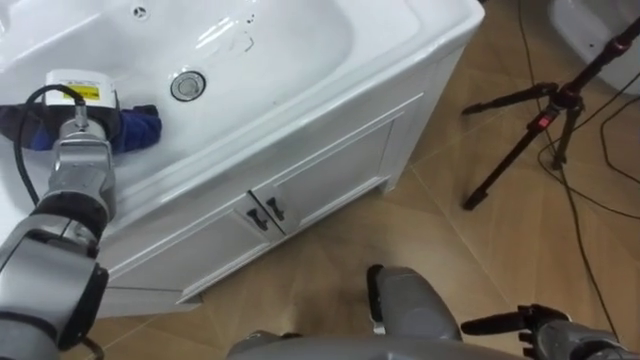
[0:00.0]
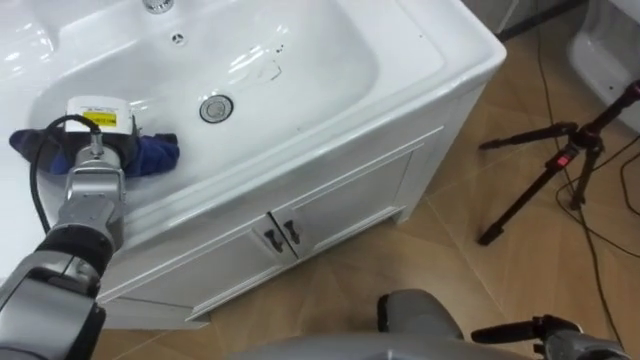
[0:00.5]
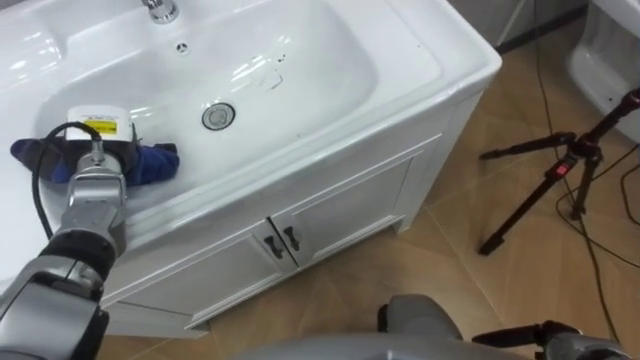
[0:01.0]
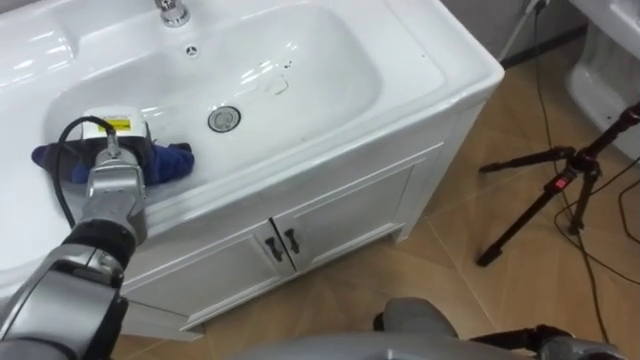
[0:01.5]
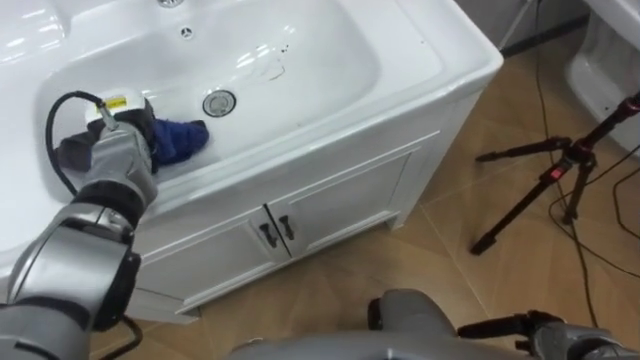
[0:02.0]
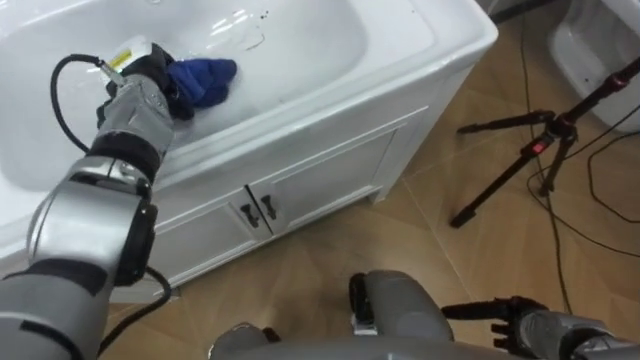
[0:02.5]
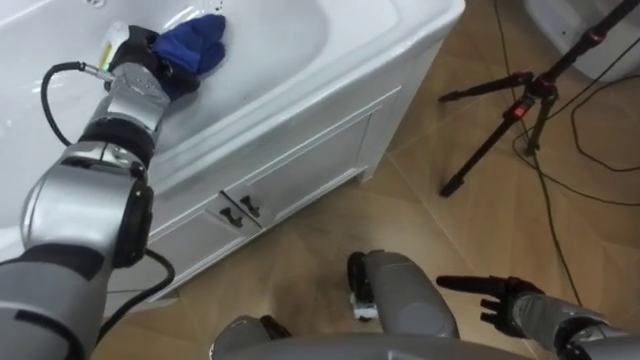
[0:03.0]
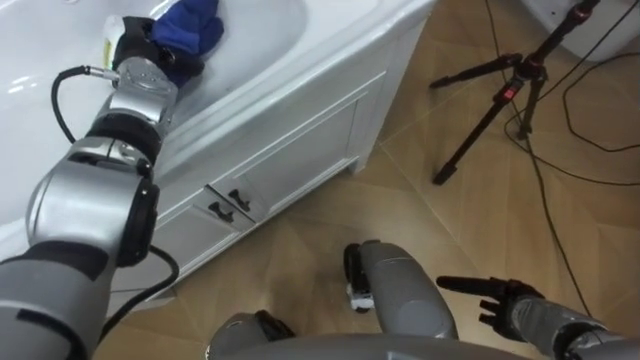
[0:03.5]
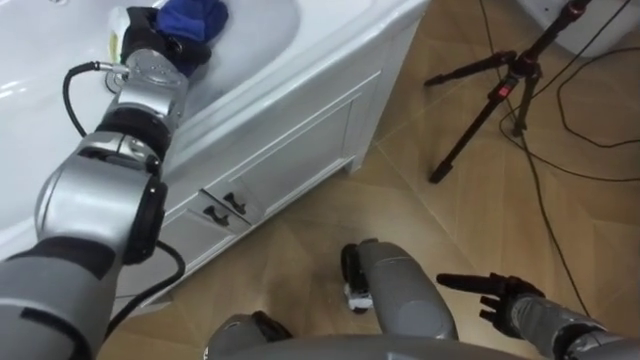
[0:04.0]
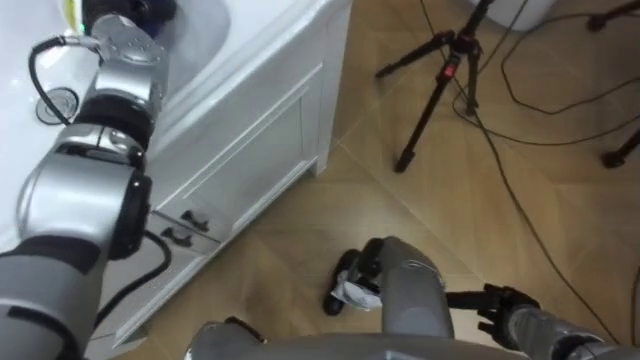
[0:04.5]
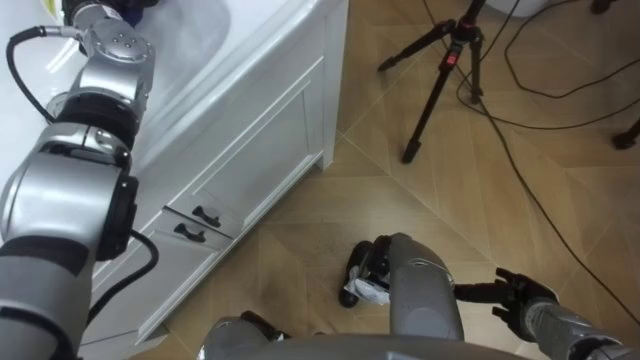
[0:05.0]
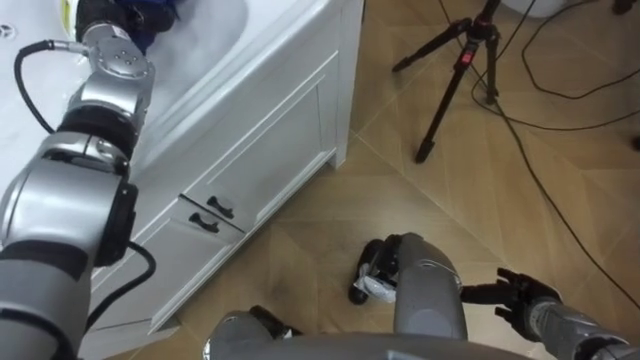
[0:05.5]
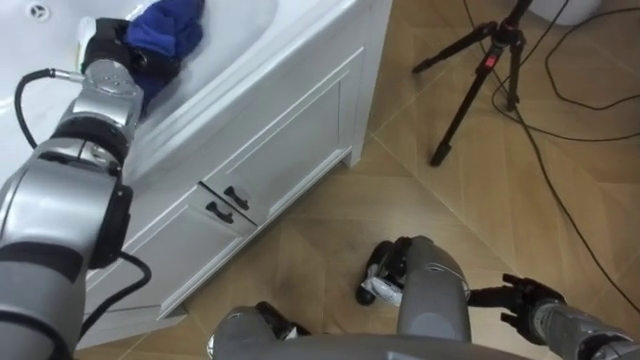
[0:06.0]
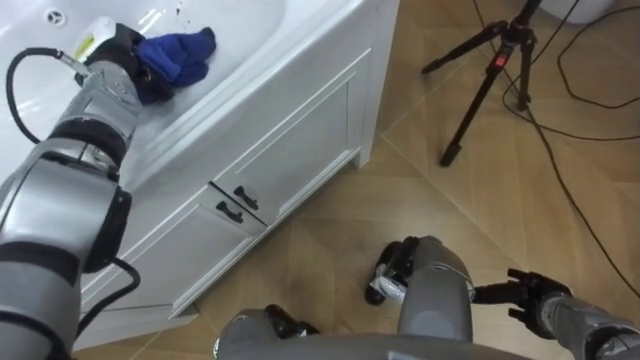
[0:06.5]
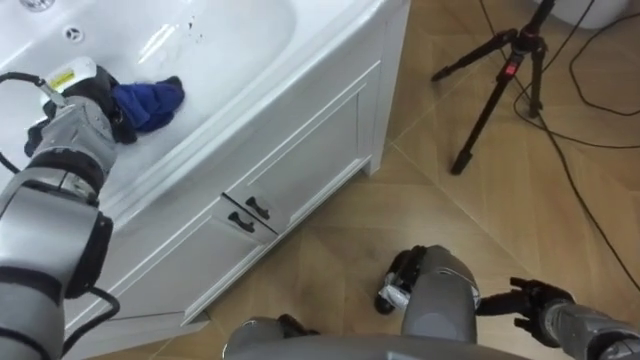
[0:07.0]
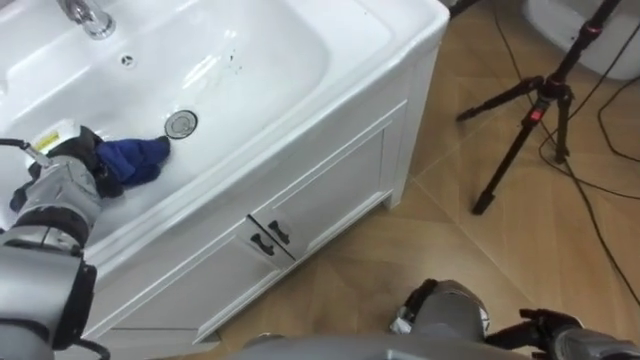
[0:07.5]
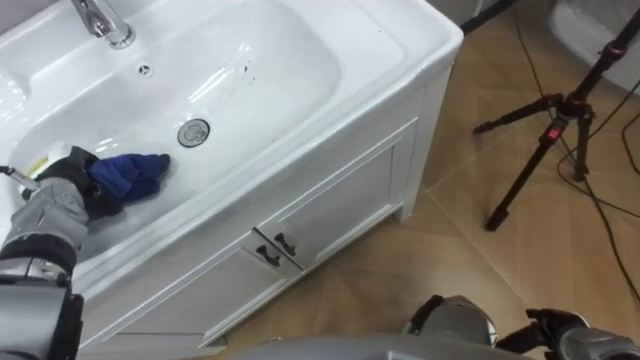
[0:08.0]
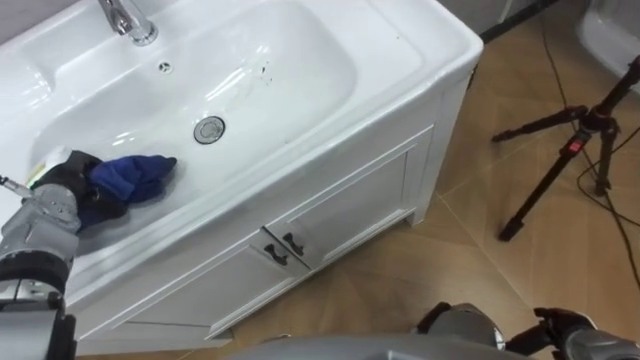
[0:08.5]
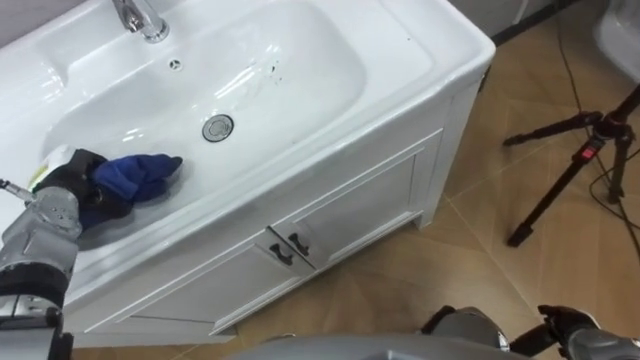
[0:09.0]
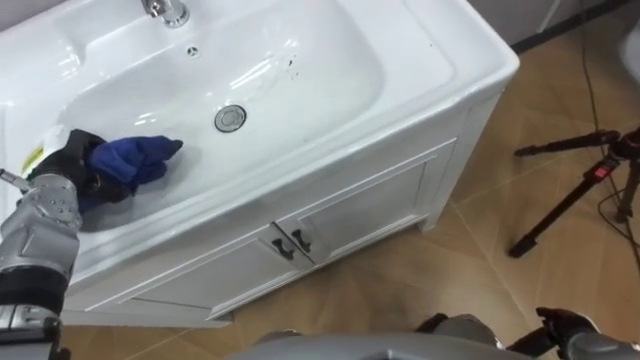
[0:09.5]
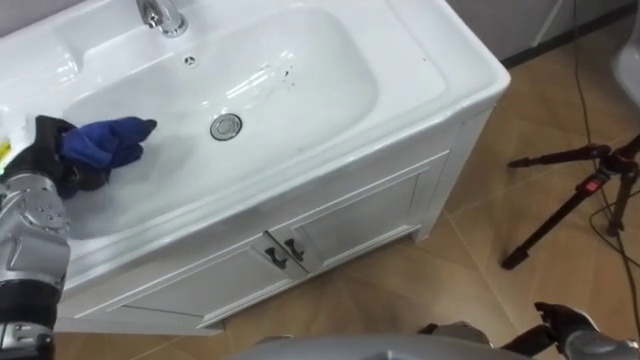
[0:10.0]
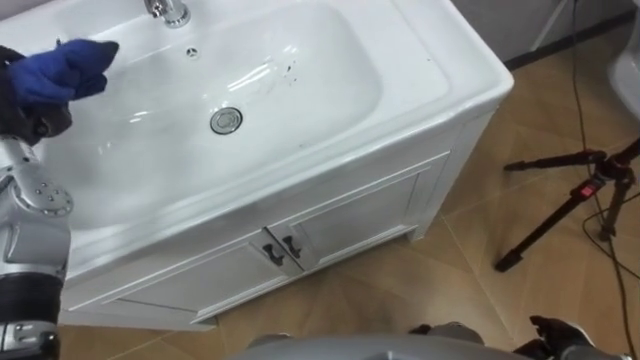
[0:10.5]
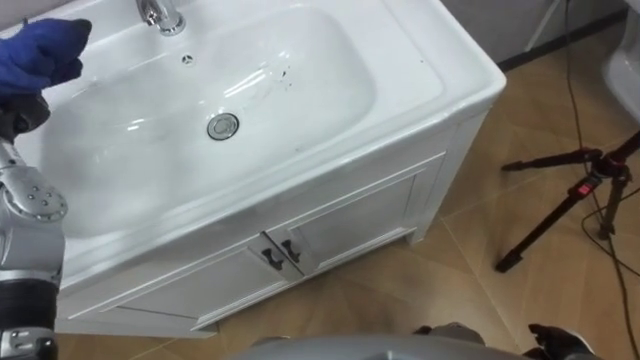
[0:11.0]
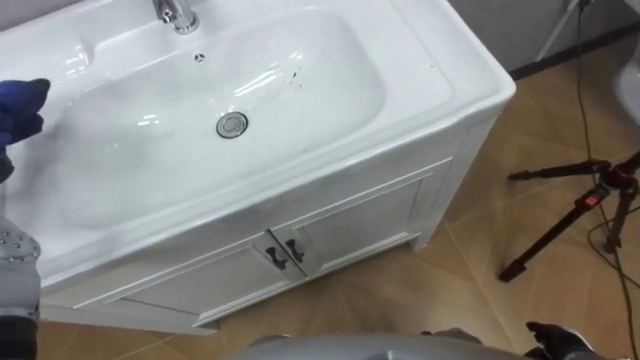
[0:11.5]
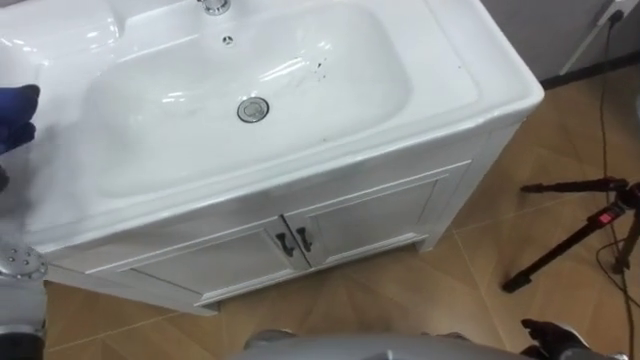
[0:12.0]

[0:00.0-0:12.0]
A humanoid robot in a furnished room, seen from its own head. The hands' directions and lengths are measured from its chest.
Task of the whole recording: Use the cloth on the right to wipe away the black stain in the sink.
0:00.0 to 0:02.0: The left hand moves approximately 5 cm.
0:02.0 to 0:04.0: The right hand shifts by about 5 cm, while the left hand heads upward and forward, covering some 10 cm.
0:06.0 to 0:08.0: The right hand ends up approximately 5 cm from where it was. Meanwhile the left hand heads backward, downward and to the left, covering approximately 20 cm.
0:08.0 to 0:10.0: The left hand heads upward, covering about 5 cm.

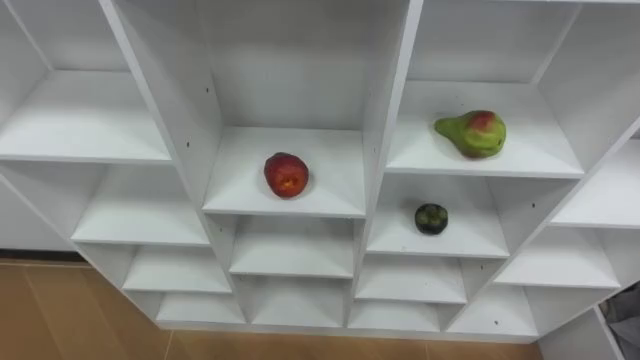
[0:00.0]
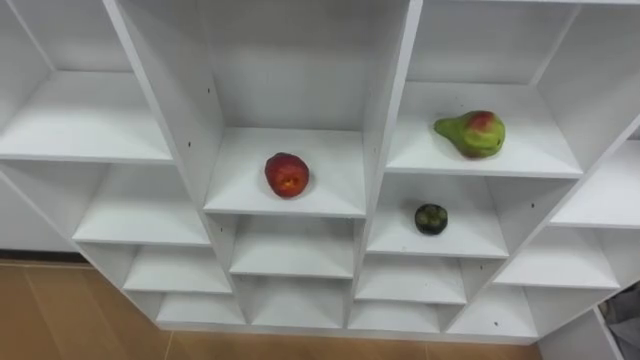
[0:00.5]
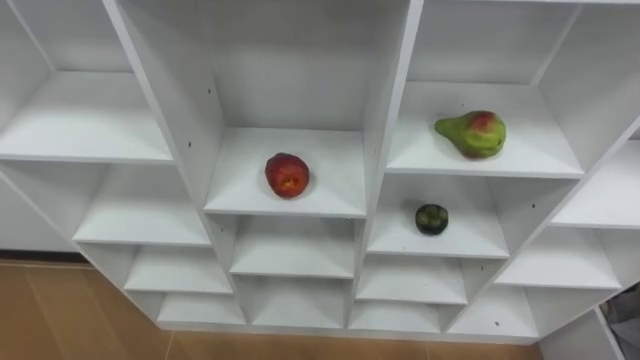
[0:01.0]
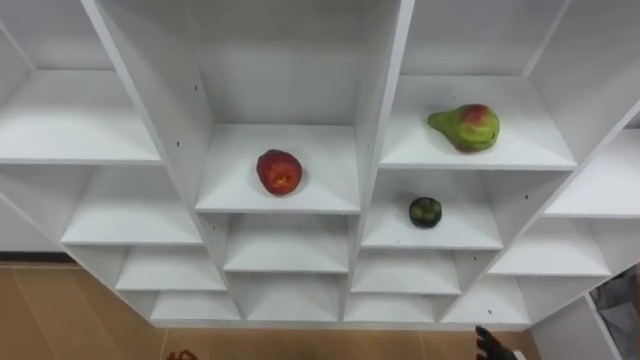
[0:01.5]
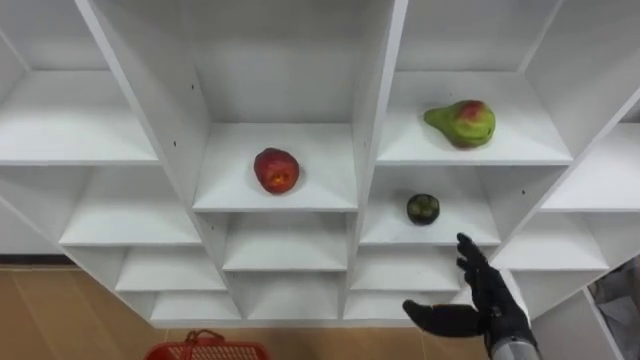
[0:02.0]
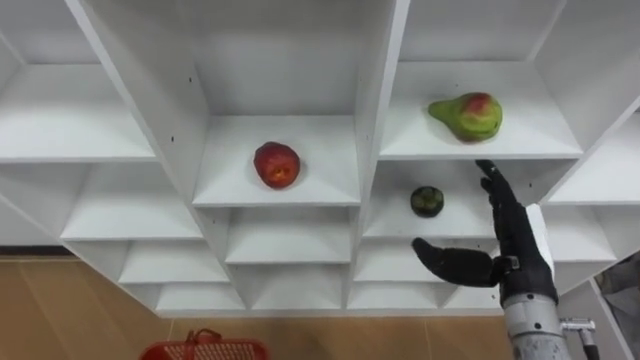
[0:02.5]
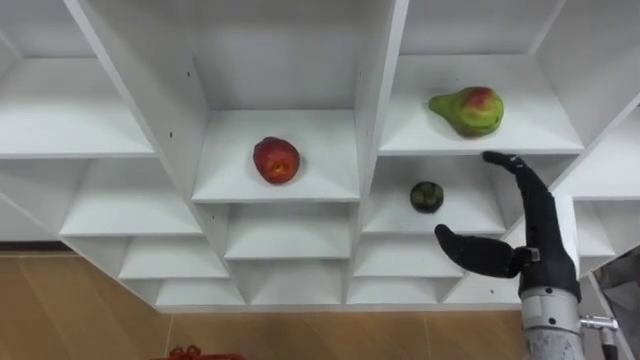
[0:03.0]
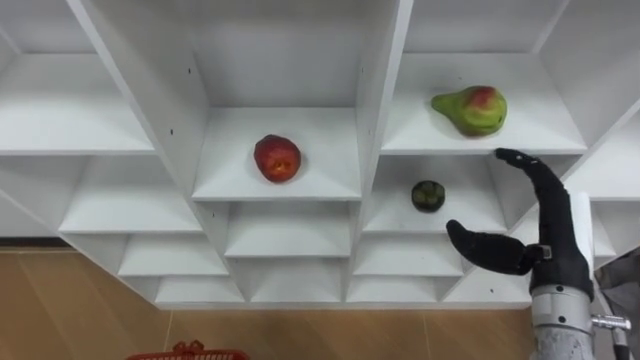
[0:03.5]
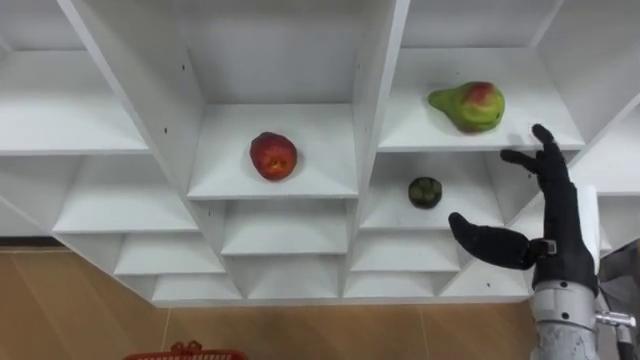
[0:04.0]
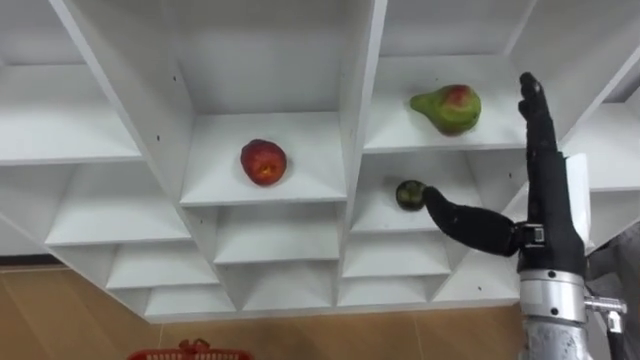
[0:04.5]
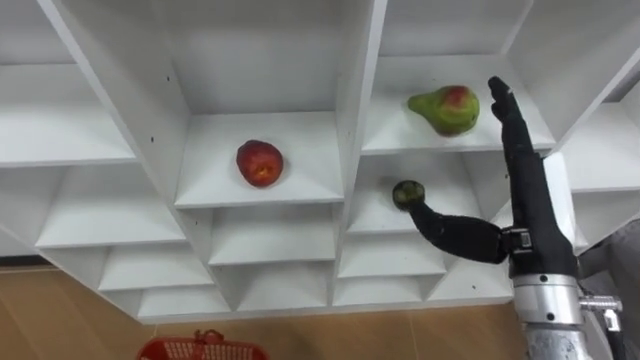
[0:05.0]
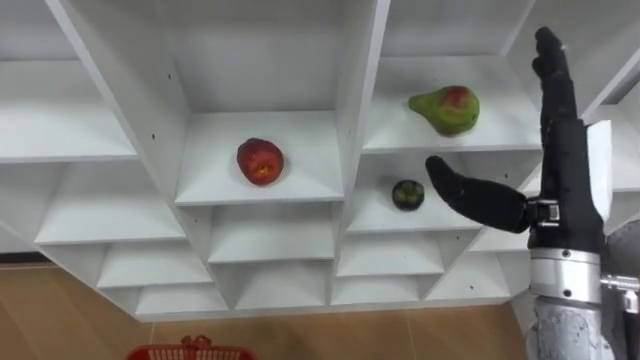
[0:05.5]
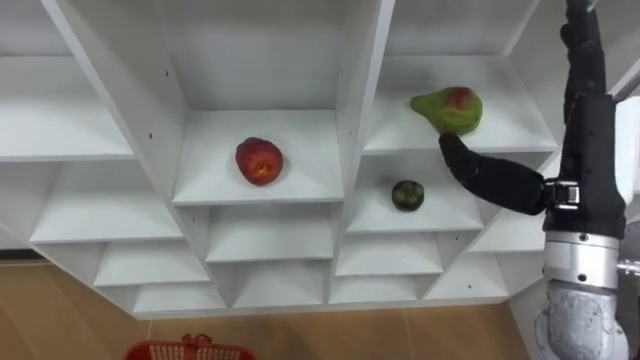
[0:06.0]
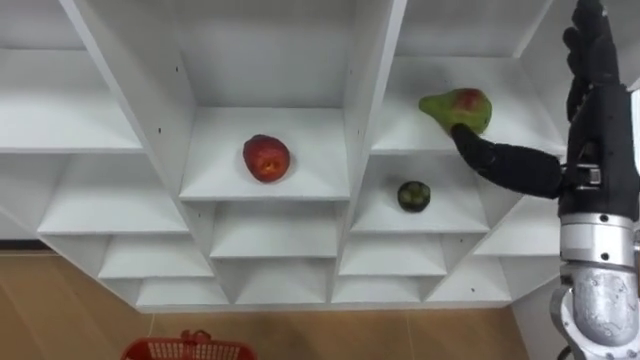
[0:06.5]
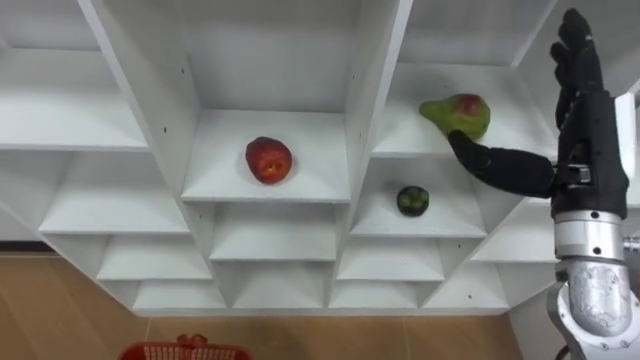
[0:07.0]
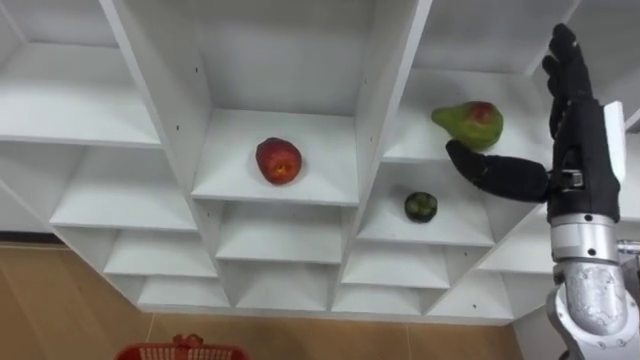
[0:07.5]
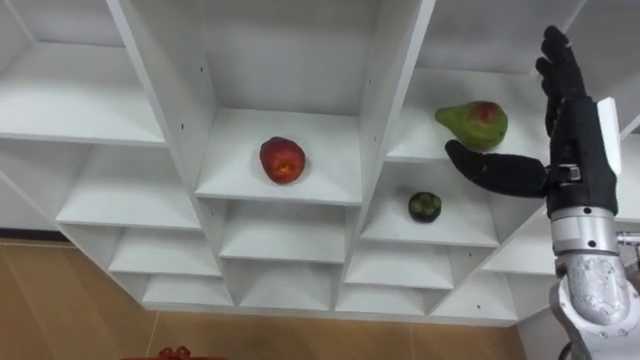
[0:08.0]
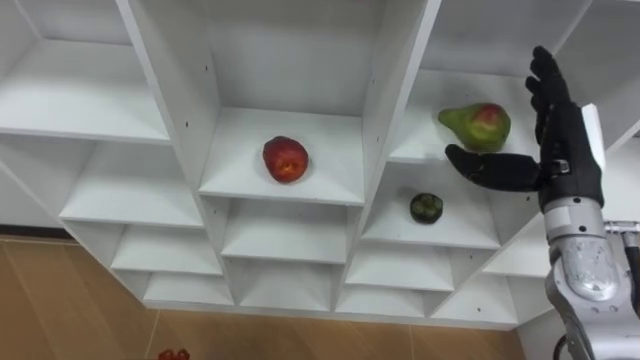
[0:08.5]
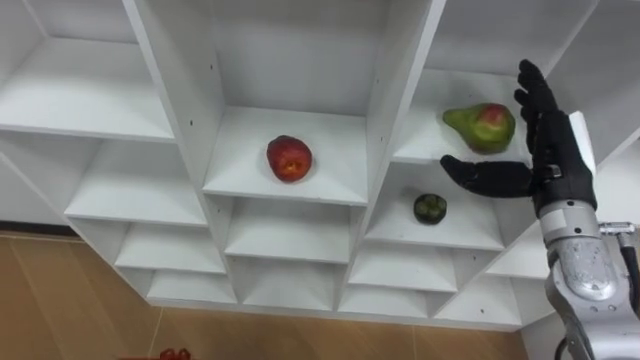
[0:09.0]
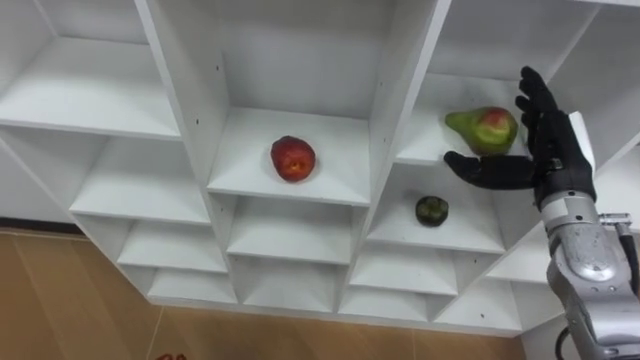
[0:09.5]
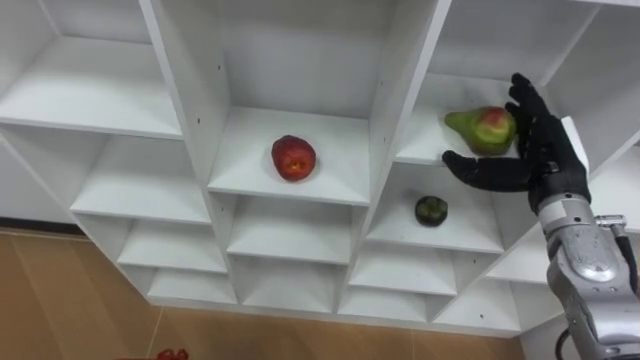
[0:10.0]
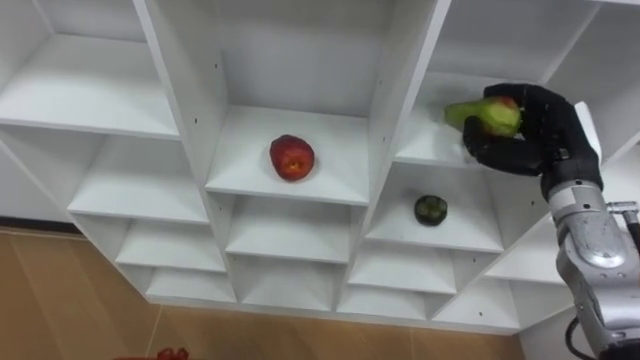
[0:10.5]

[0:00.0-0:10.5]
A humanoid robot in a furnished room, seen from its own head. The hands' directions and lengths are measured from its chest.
Task of the whole recording: Hold the basket and collect the fruits from 3 different cells of the closet into it.
0:02.0 to 0:04.0: The right hand is displaced upward by roughly 15 cm.
0:04.0 to 0:06.5: The right hand shifts some 10 cm upward.
0:06.5 to 0:08.5: The right hand moves downward, about 5 cm.
0:08.5 to 0:10.5: The right hand closes its fingers.
